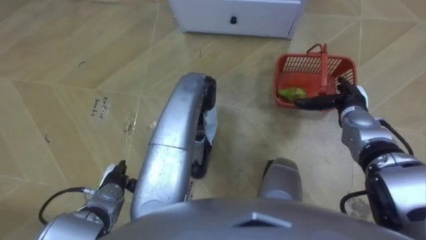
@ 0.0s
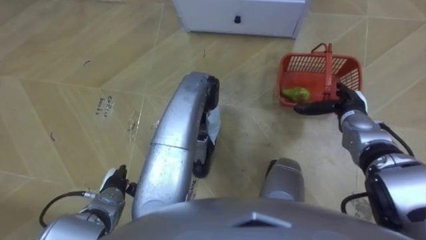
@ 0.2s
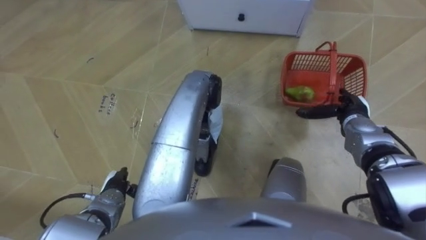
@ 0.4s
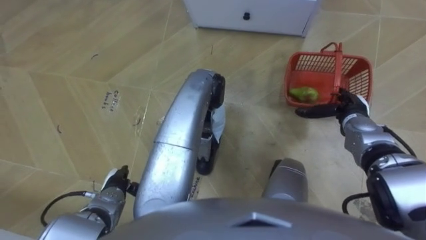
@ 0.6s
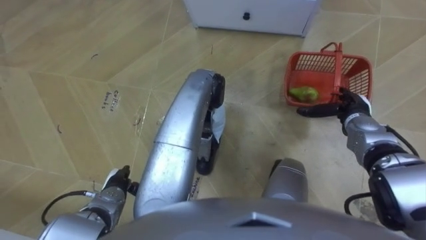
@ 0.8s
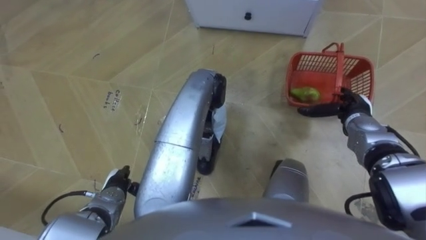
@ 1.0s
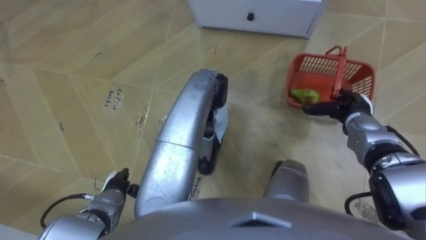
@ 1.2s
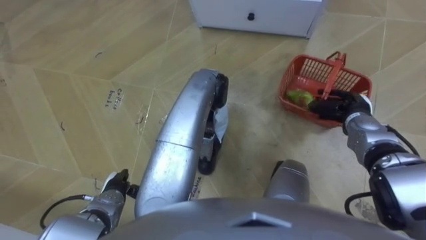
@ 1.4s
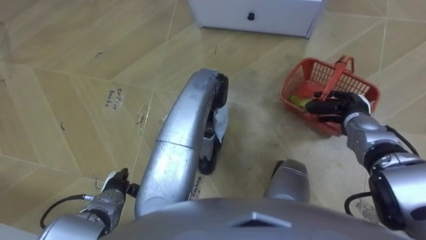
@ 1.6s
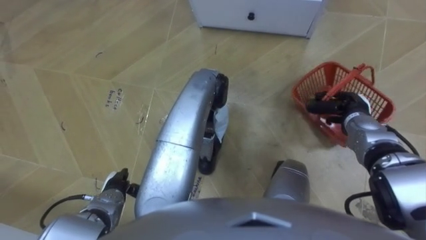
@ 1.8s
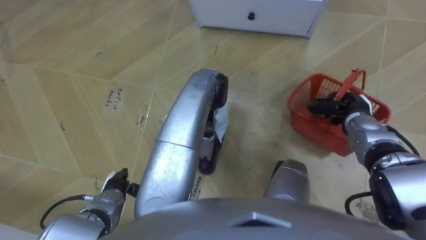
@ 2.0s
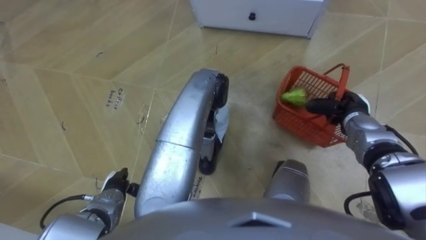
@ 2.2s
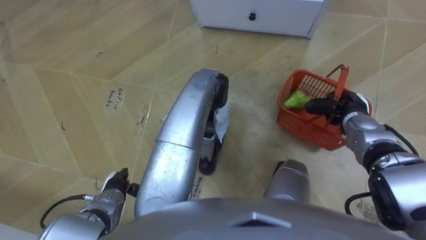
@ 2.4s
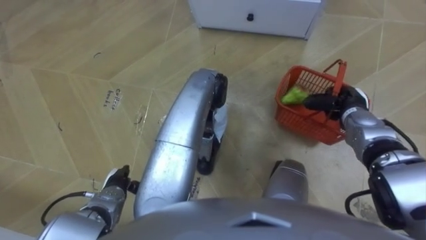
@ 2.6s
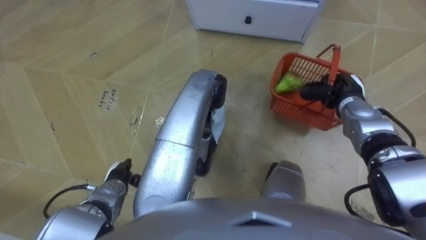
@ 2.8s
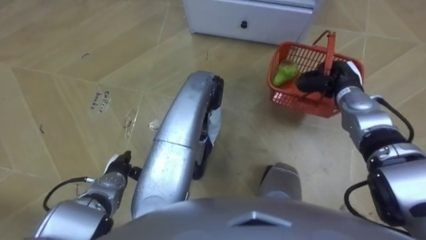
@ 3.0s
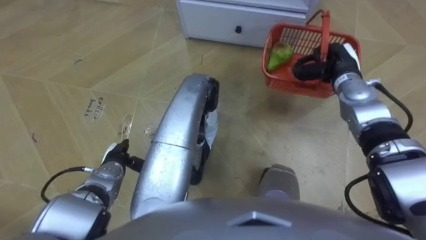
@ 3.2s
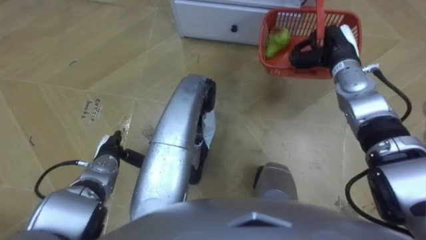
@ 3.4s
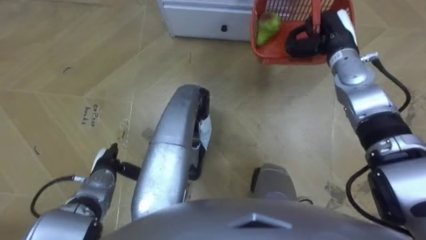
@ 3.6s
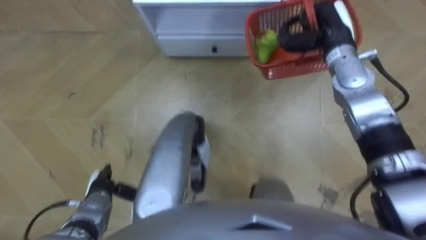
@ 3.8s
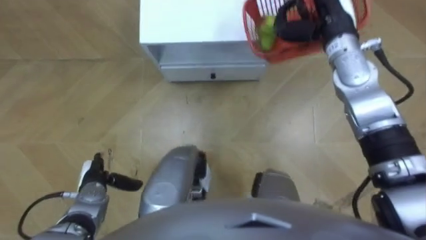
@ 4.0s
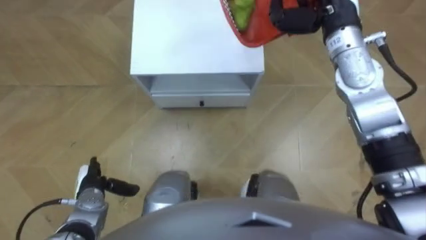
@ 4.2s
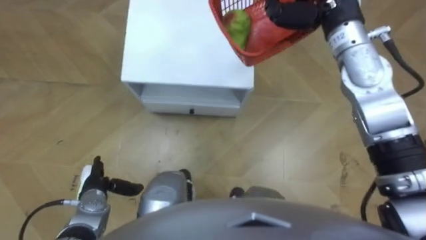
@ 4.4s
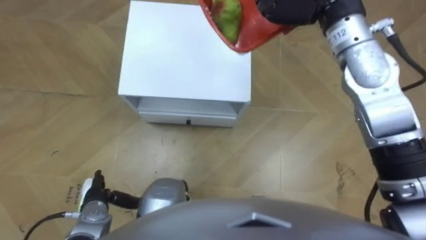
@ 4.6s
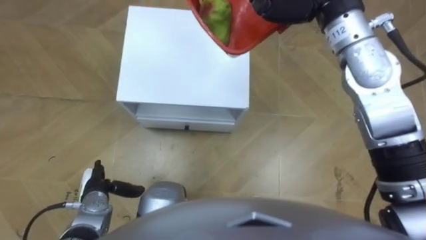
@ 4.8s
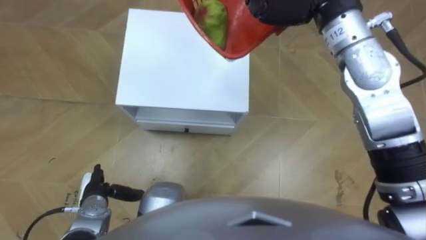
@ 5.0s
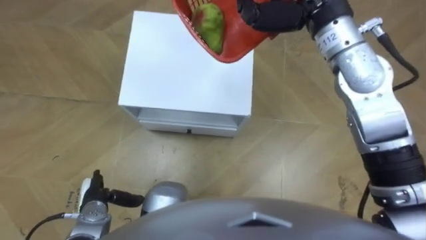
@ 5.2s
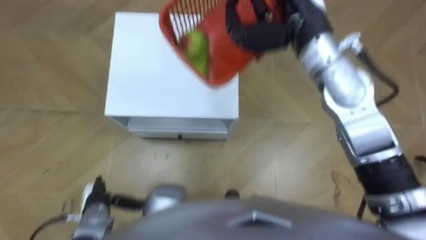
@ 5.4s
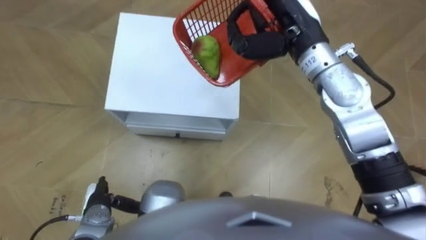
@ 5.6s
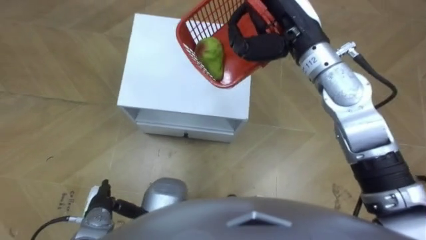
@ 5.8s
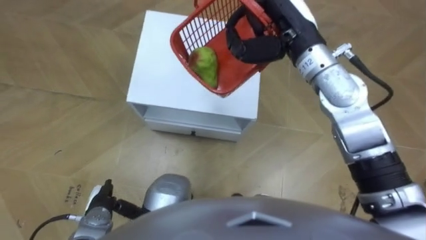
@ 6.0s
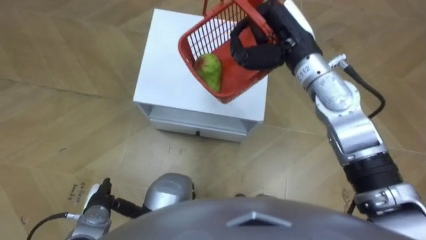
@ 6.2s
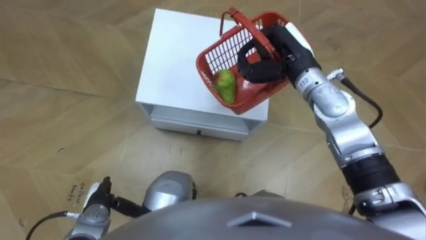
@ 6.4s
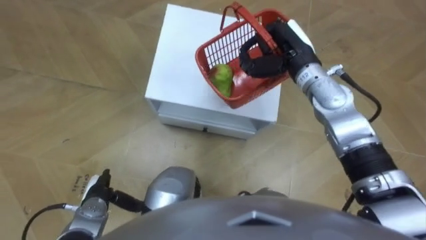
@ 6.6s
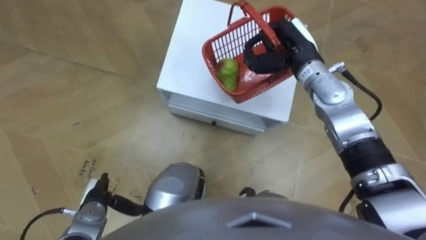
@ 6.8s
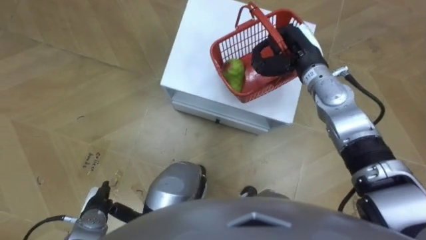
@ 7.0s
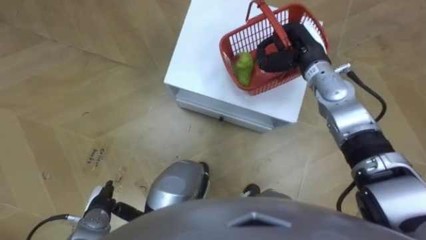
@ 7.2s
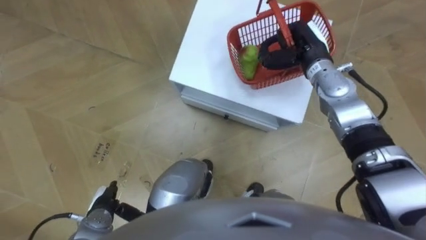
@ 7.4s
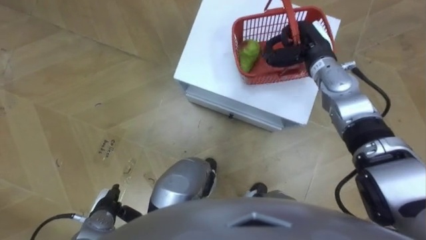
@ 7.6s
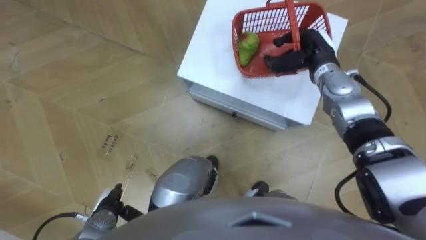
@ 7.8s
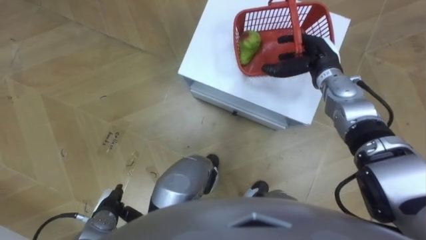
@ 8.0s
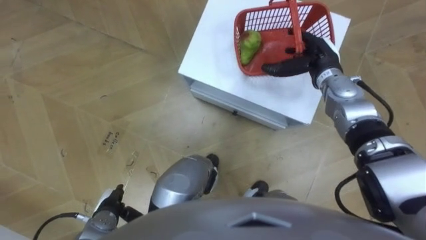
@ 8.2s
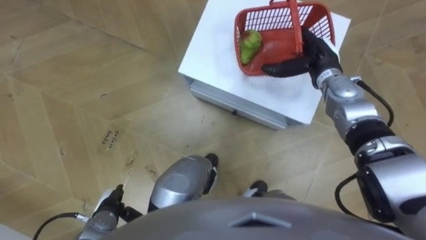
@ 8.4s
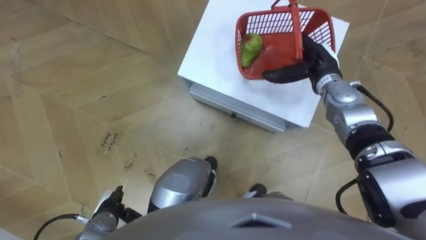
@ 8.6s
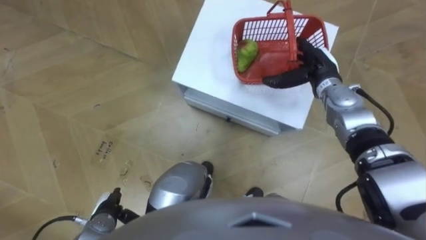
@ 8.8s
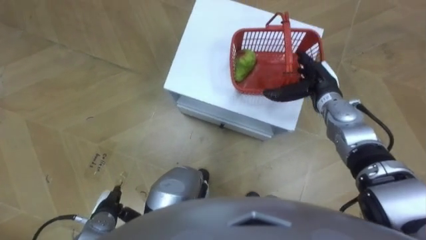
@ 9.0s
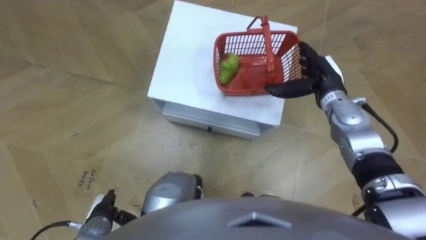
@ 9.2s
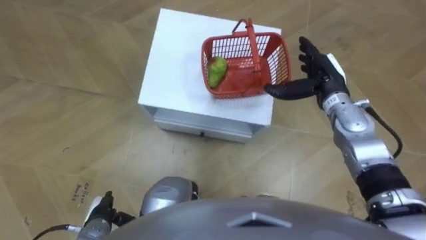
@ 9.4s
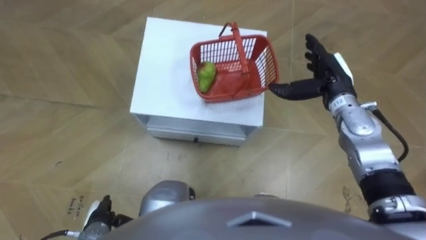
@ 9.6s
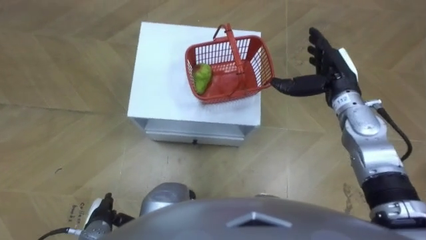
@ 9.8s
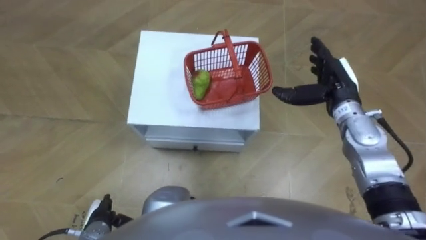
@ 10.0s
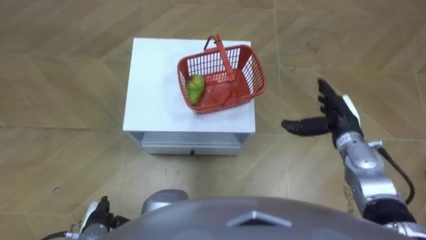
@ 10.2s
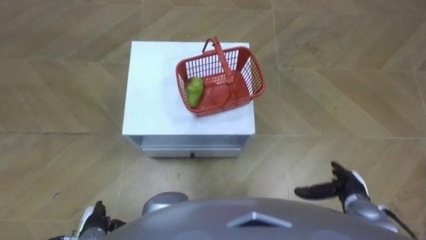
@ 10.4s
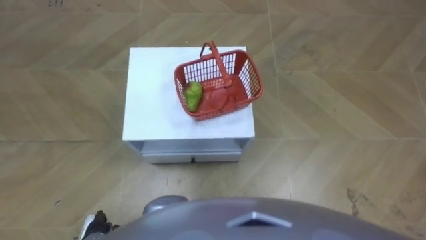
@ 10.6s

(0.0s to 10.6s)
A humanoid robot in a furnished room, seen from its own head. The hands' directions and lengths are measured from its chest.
Task of the whole recording: Pick up the fruit basket from the floor and place it on the cabinet.
0.0s - 1.6s: The right hand closes up.
1.6s - 3.0s: The right hand goes some 5 cm forward.
3.0s - 4.6s: The left hand is displaced backward by some 5 cm.
6.0s - 7.6s: The right hand shifts some 15 cm downward and to the right.
7.6s - 9.0s: The right hand shifts approximately 10 cm downward and backward, and opens its fingers.
9.0s - 10.6s: The right hand heads backward, covering roughly 35 cm.

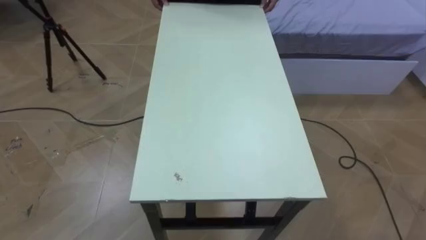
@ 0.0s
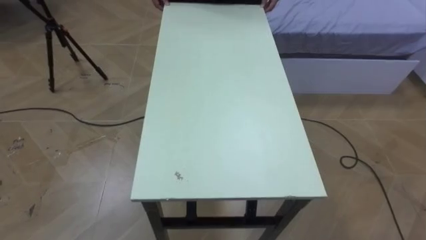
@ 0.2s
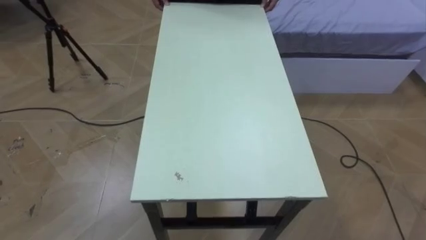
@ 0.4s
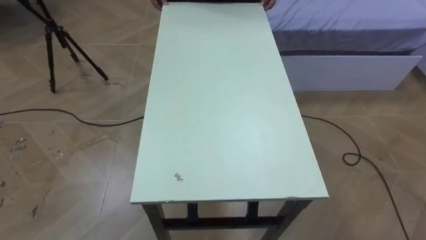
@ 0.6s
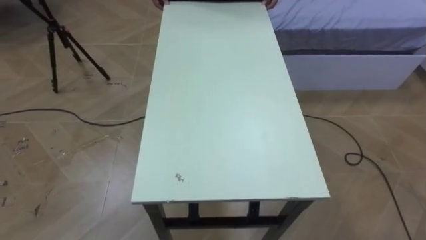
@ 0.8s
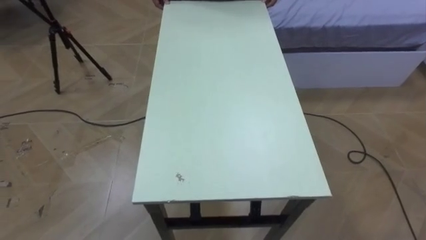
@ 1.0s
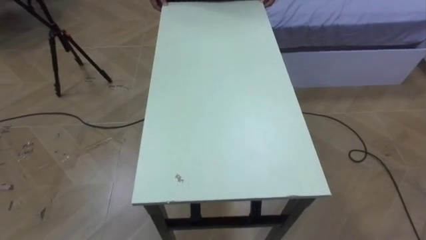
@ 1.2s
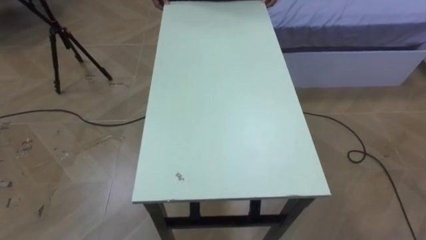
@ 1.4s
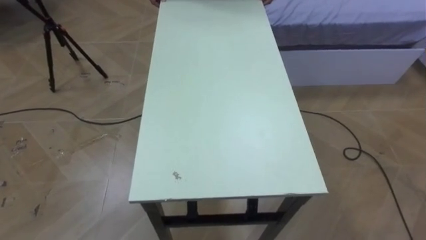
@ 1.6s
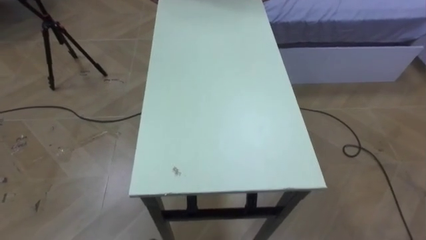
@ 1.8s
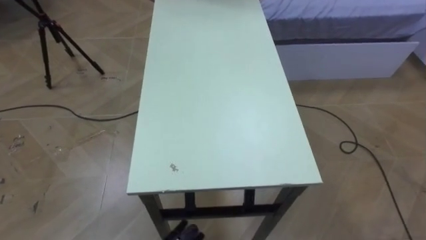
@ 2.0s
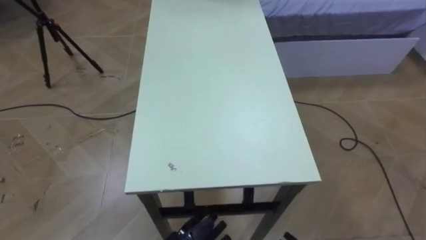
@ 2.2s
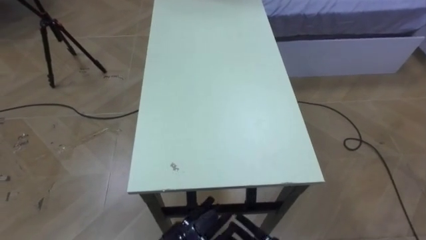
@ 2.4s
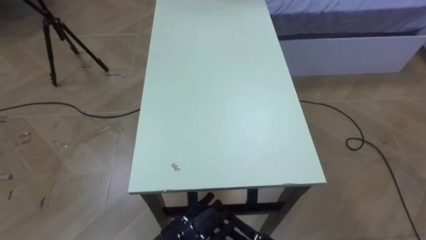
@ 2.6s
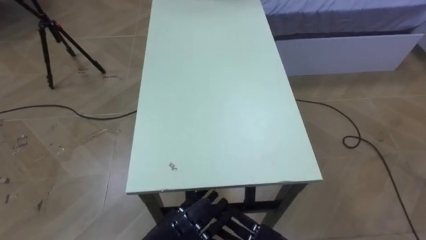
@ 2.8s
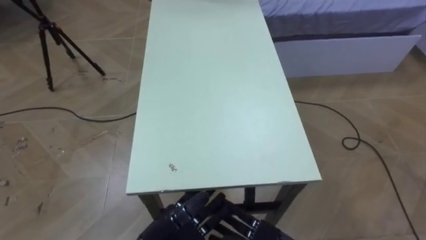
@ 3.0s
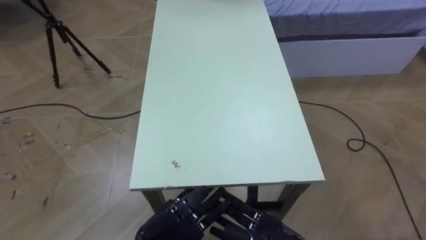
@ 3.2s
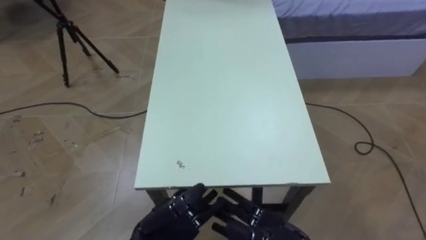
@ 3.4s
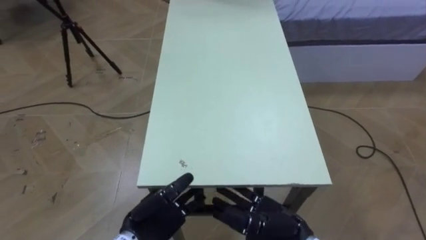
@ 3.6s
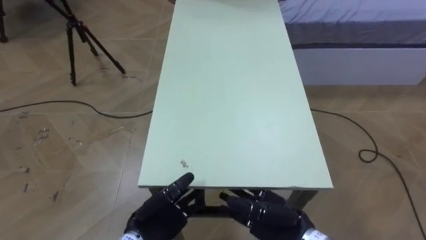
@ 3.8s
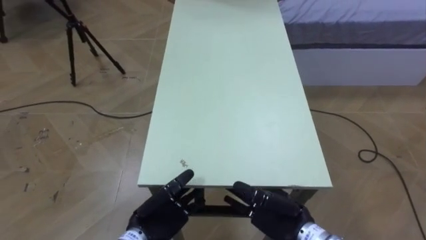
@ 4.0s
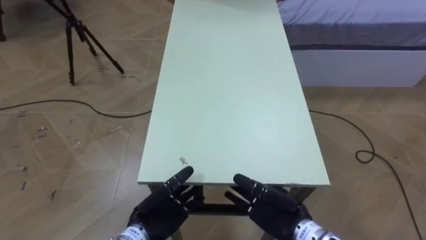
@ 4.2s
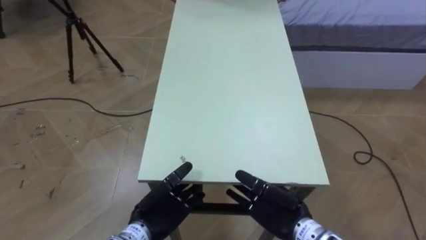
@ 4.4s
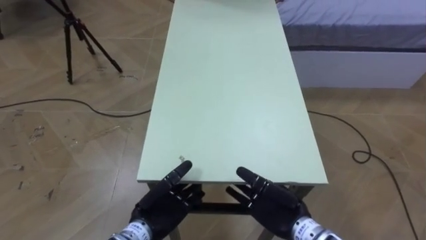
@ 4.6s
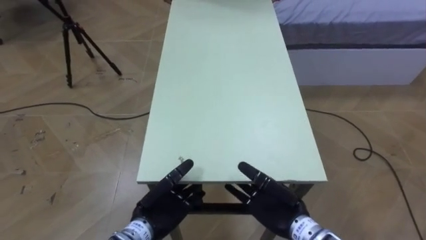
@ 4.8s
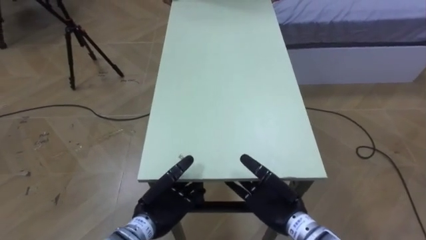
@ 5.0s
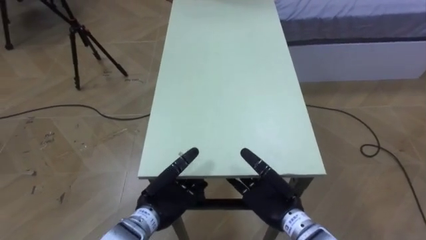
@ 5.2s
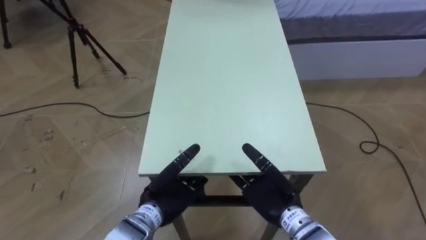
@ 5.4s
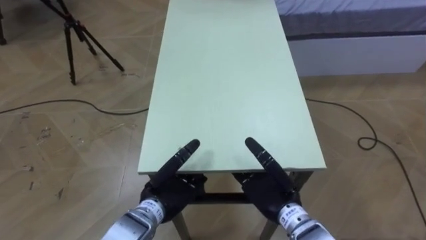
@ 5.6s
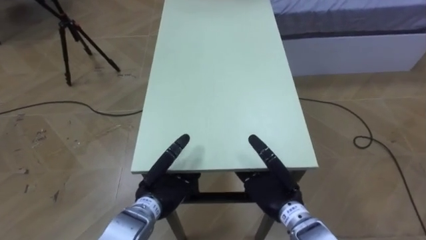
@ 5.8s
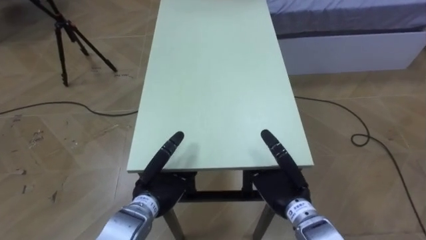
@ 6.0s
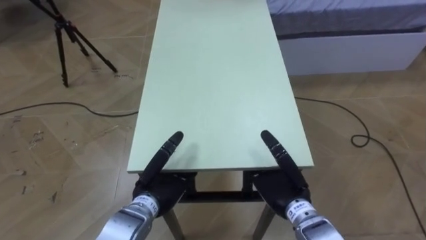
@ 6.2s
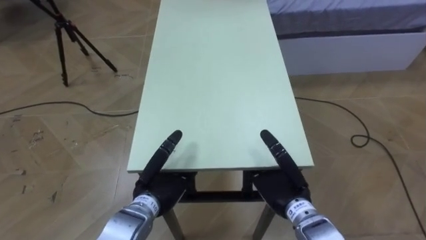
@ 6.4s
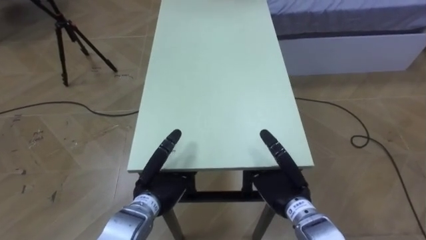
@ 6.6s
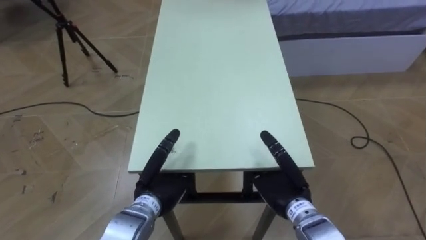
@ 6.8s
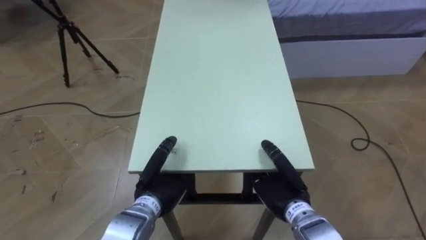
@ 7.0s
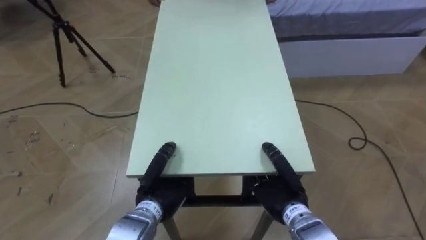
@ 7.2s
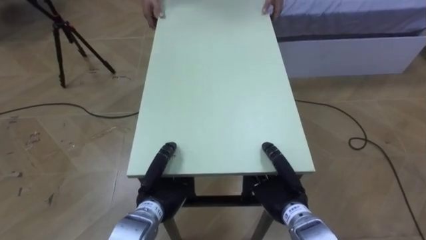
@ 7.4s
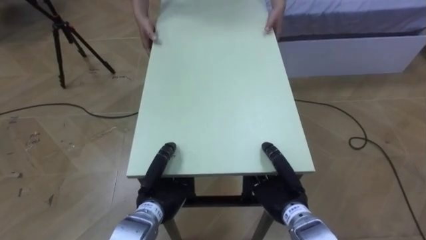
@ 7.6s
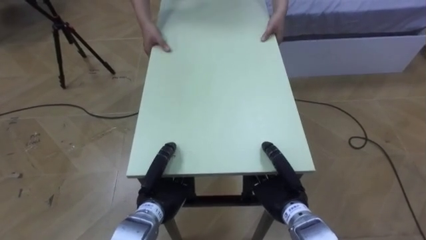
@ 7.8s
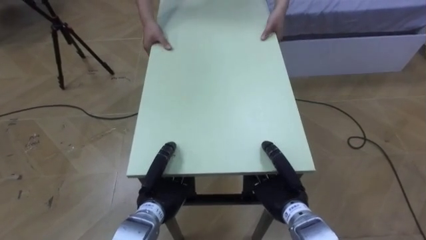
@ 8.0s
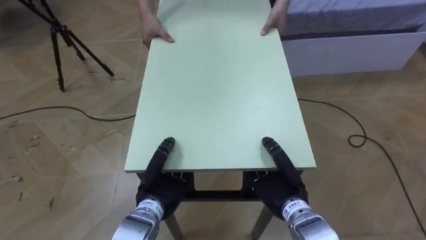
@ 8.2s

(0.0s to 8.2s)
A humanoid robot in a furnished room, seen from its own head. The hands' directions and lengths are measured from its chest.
Task of the whole recording: Move the table to the back left with someone.
3.2s - 5.0s: Both hands travel together forward, some 5 cm.
6.6s - 8.2s: The left hand closes. The right hand closes its fingers.
